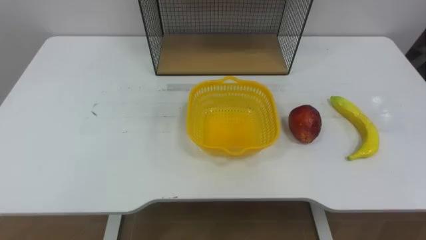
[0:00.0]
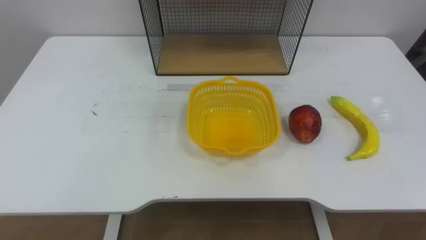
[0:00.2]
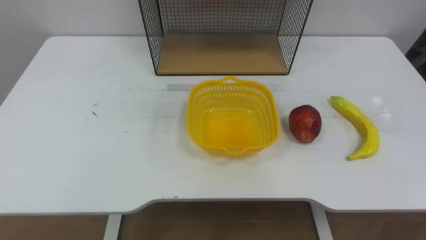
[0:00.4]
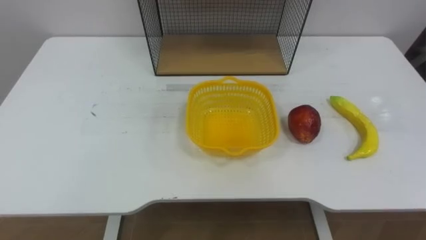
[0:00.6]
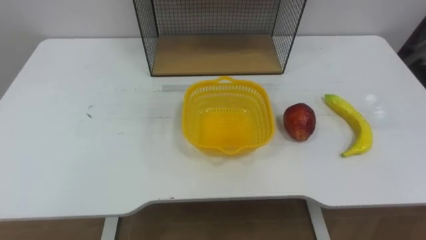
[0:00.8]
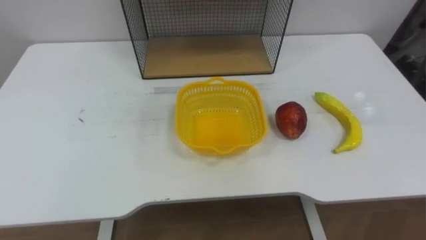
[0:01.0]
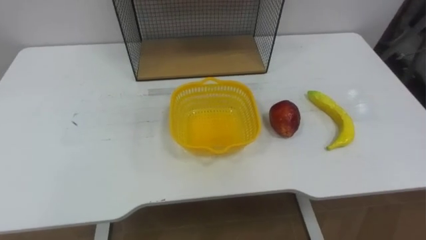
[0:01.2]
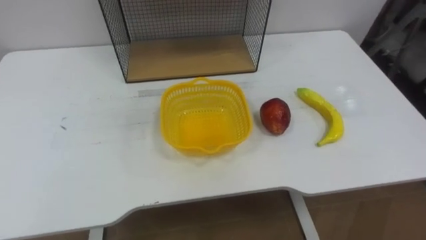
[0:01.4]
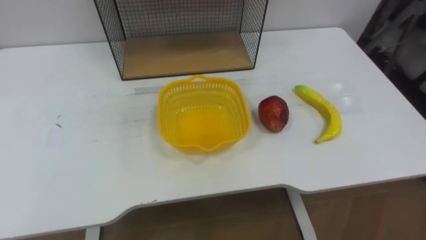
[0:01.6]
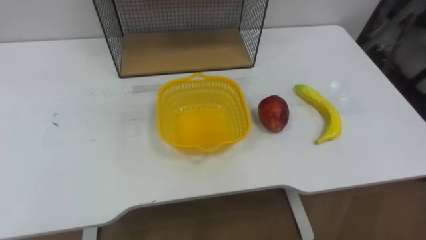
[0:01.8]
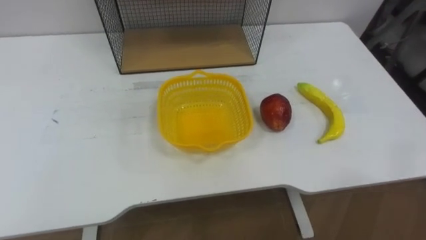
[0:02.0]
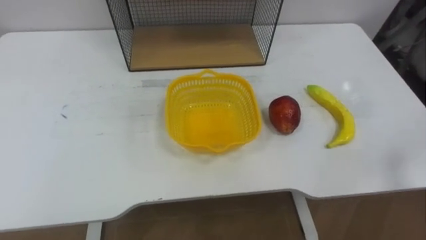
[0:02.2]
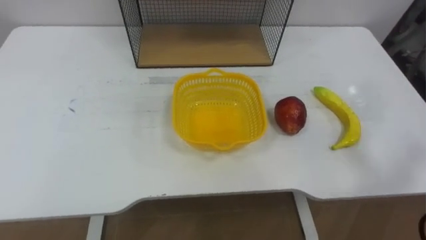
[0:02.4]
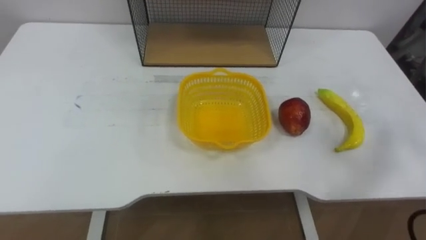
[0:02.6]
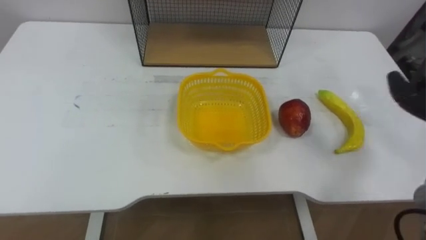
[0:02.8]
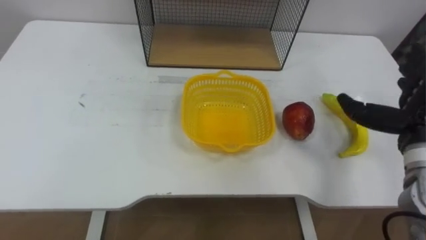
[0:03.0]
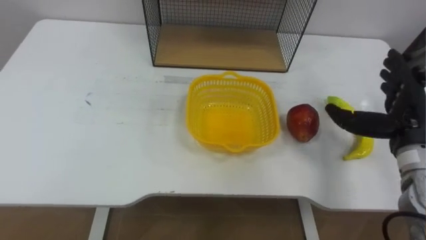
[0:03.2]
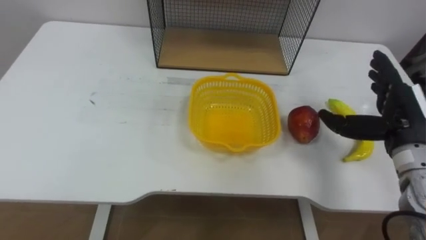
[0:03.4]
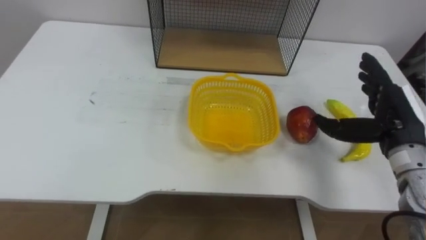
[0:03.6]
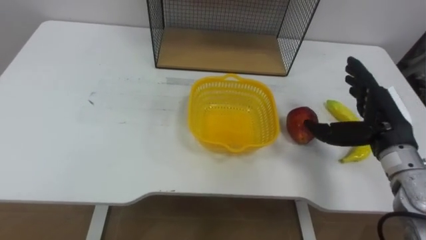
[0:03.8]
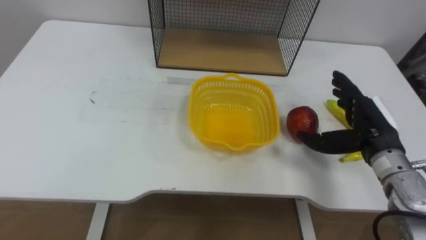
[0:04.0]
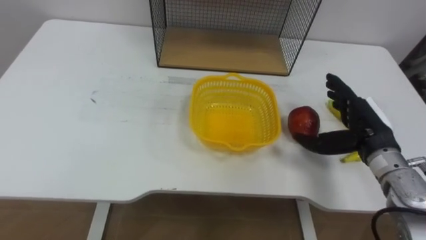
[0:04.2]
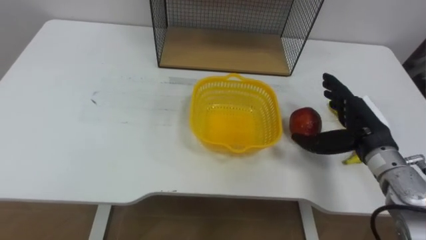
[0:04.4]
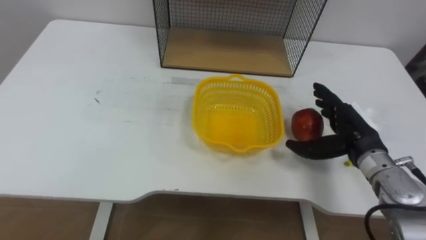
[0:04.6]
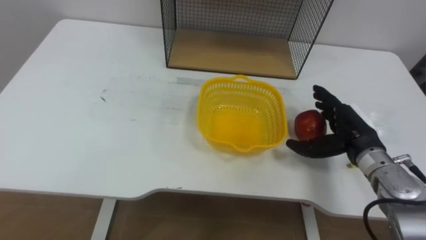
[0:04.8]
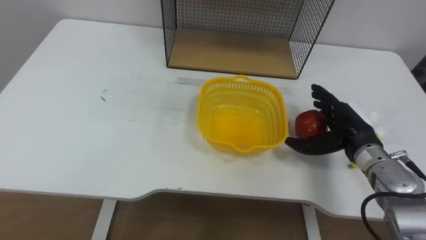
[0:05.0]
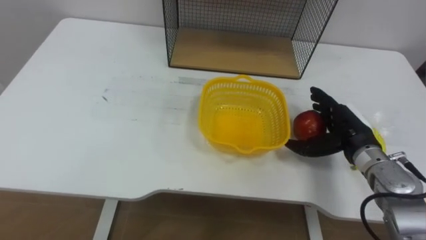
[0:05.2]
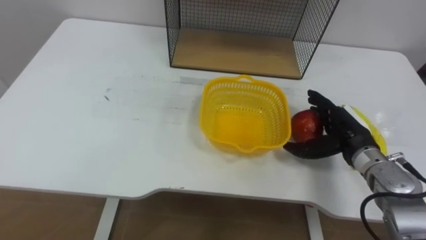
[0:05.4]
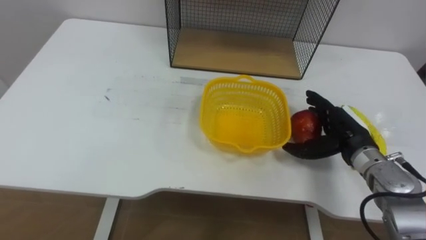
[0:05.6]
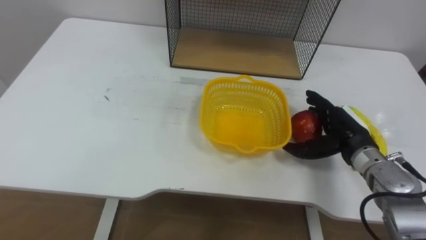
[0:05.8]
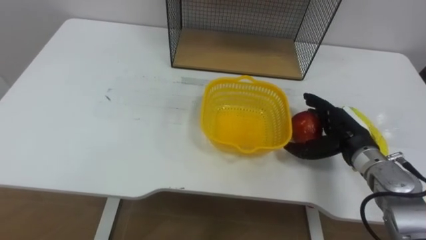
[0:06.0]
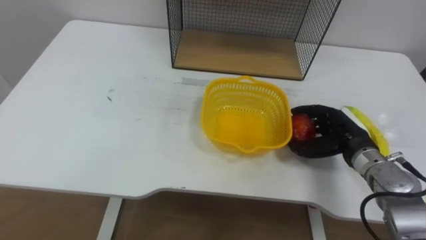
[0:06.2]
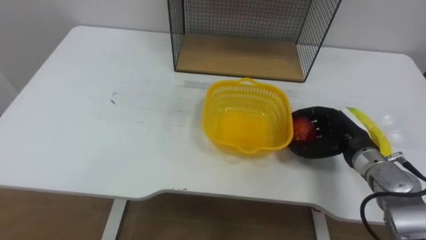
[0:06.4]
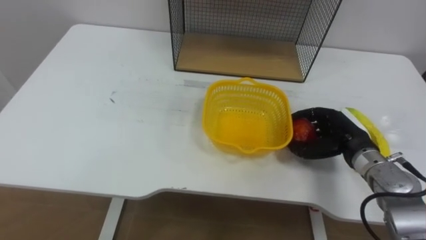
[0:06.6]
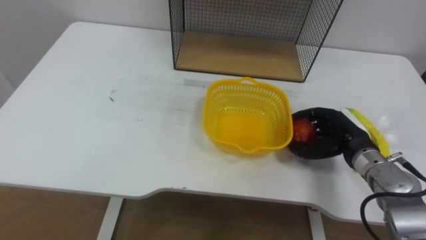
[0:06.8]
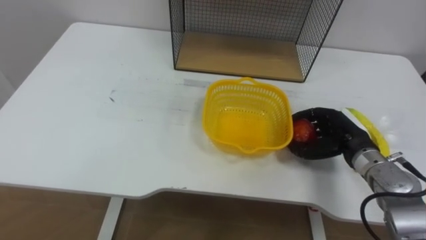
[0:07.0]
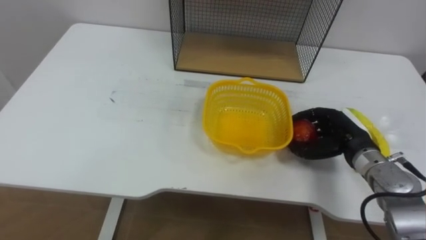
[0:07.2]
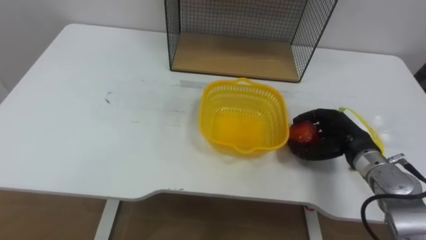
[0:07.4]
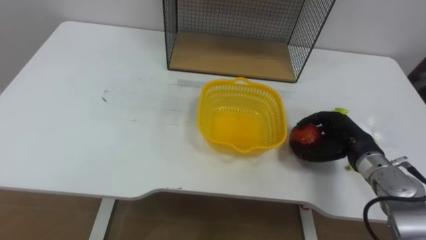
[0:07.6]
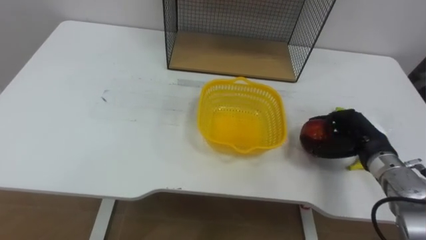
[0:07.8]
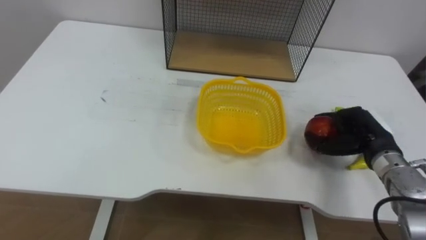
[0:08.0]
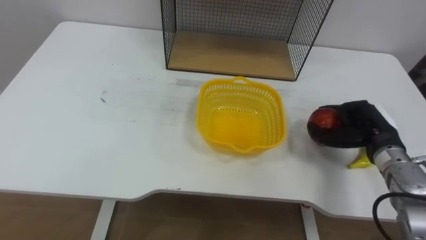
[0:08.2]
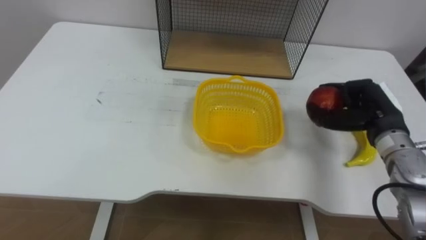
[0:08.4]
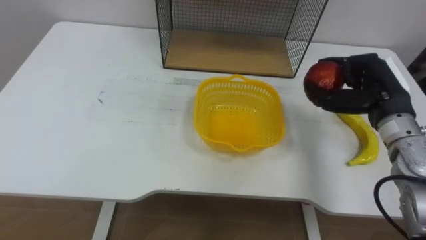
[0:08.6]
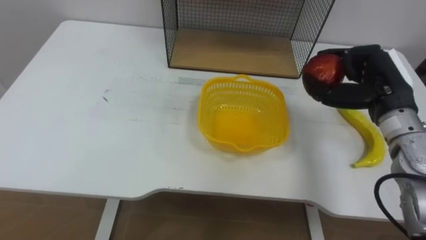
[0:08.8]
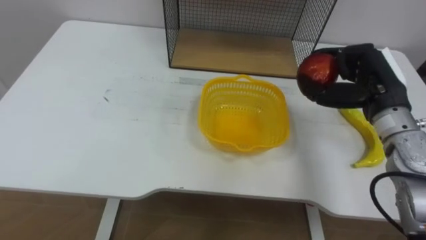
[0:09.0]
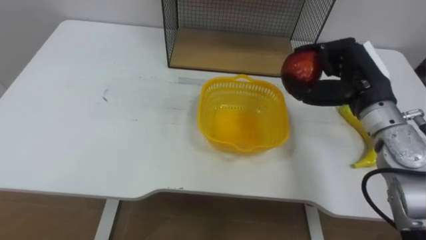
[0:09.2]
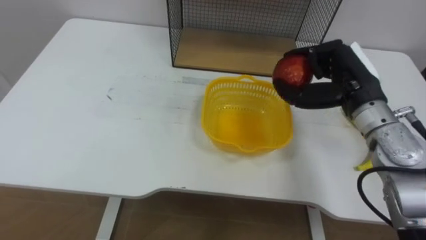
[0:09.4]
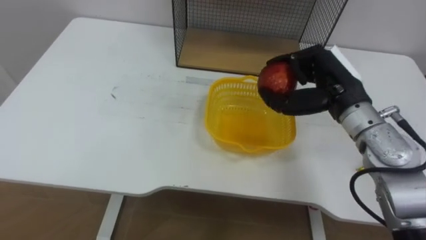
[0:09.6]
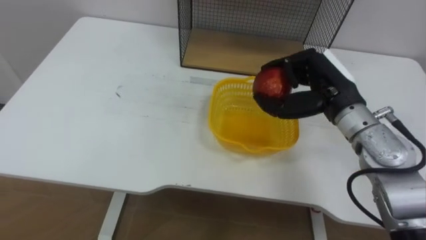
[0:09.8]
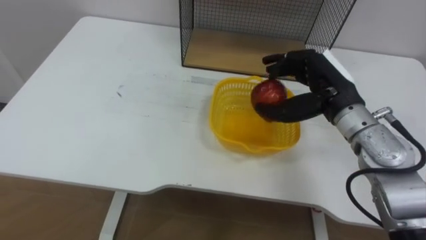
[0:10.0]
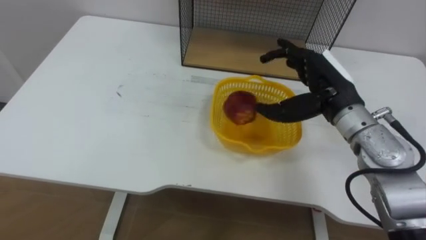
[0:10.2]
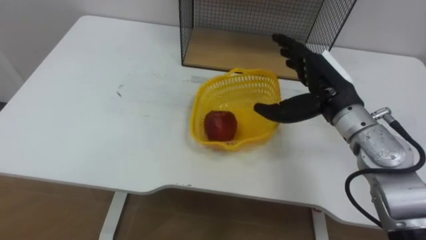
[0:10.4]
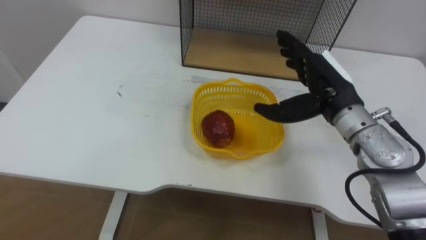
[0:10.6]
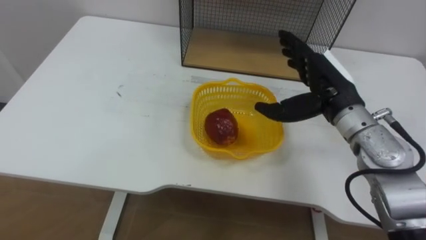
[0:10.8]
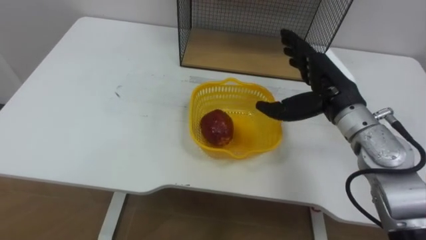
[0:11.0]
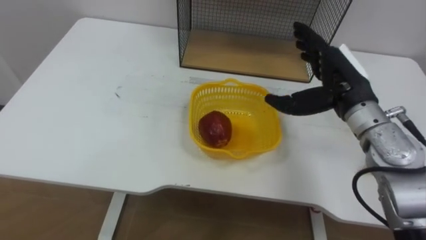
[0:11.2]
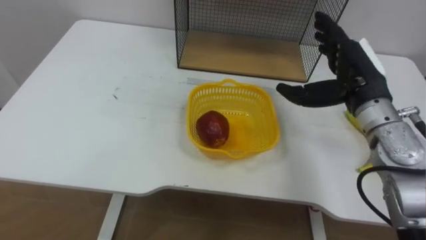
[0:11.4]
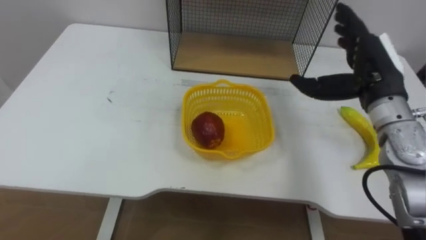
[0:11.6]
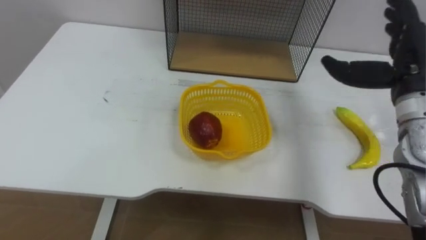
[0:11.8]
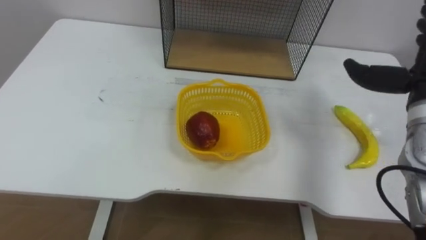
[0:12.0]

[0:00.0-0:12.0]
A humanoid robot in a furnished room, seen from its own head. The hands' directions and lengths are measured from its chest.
Task of the whole recording: Put the fruit on the table into the basket, then place the basket on the shelf.
0:06.0 to 0:07.6: The right hand closes.
0:07.6 to 0:09.0: The right hand travels upward by roughly 15 cm.
0:09.0 to 0:10.4: The right hand shifts roughly 10 cm to the left, and opens.

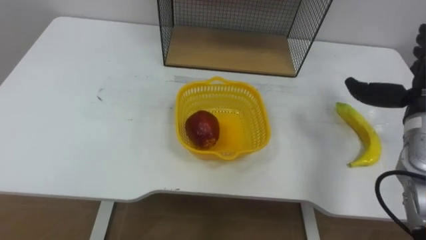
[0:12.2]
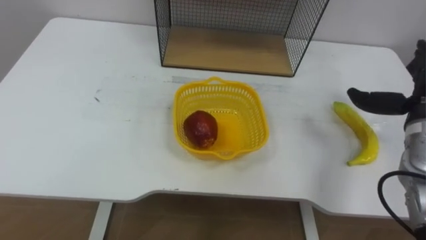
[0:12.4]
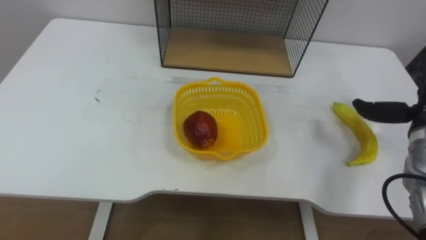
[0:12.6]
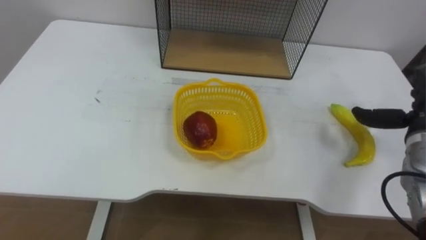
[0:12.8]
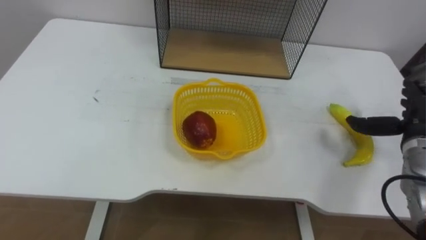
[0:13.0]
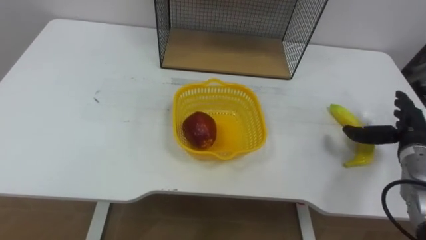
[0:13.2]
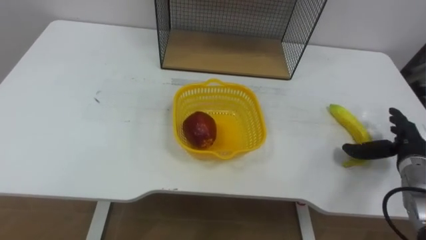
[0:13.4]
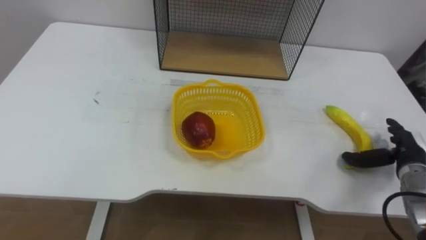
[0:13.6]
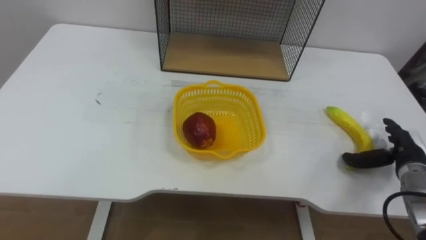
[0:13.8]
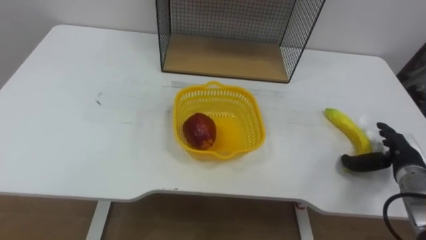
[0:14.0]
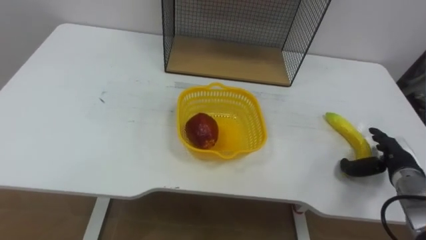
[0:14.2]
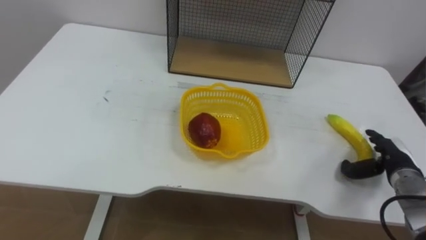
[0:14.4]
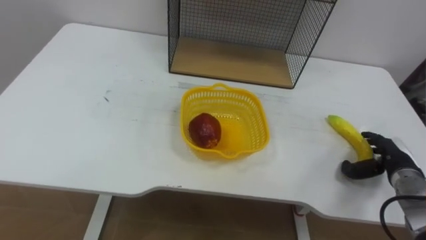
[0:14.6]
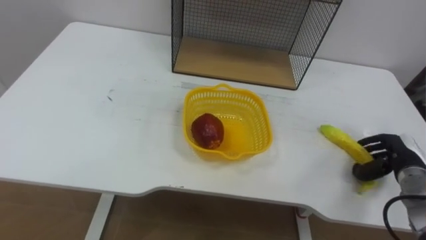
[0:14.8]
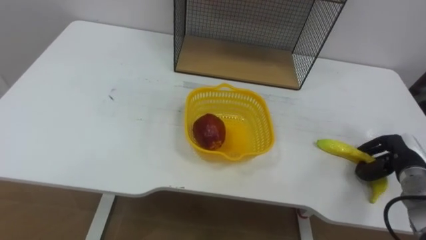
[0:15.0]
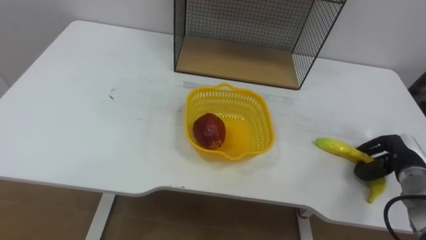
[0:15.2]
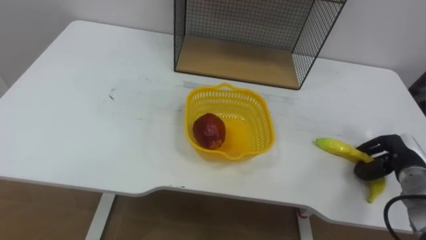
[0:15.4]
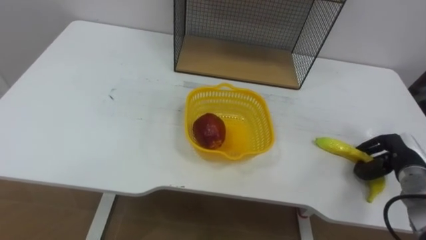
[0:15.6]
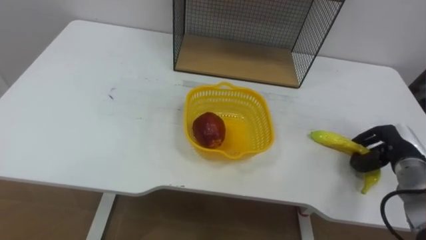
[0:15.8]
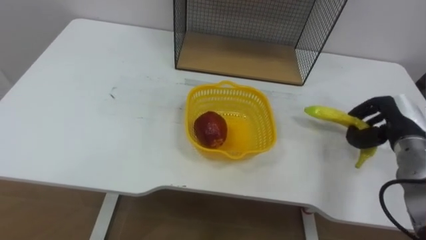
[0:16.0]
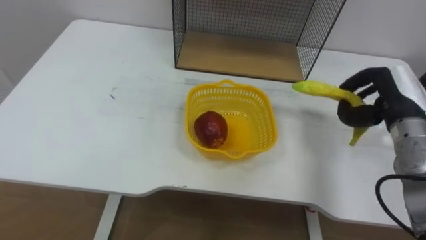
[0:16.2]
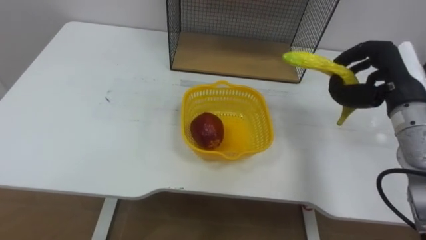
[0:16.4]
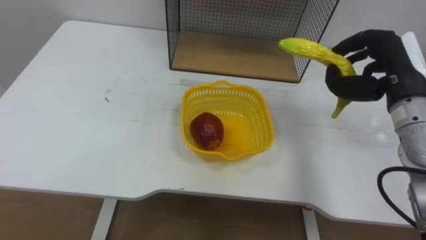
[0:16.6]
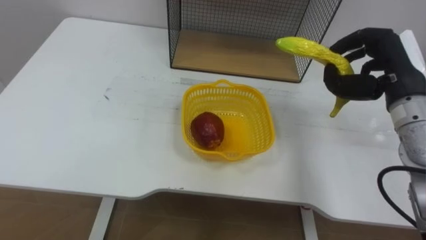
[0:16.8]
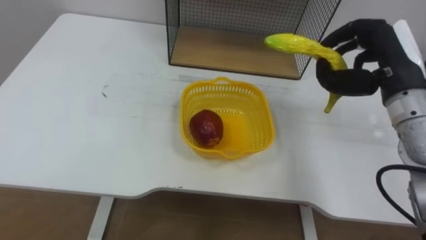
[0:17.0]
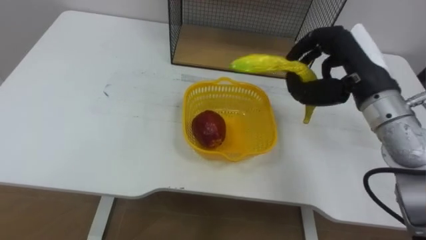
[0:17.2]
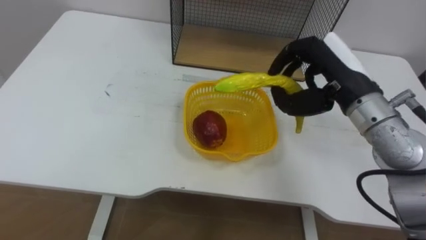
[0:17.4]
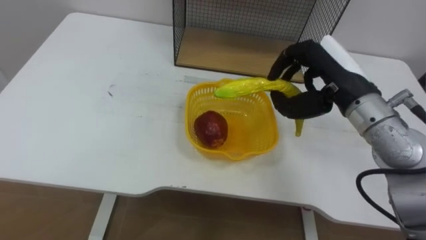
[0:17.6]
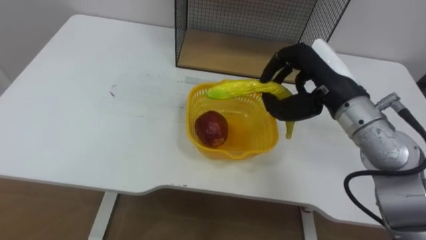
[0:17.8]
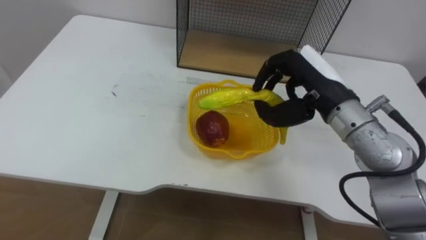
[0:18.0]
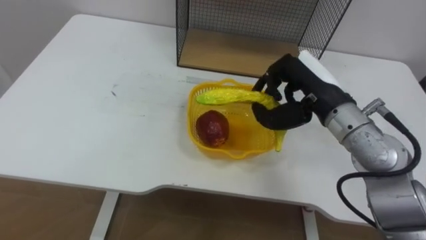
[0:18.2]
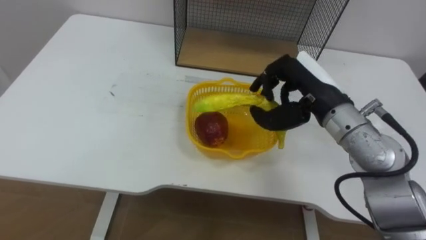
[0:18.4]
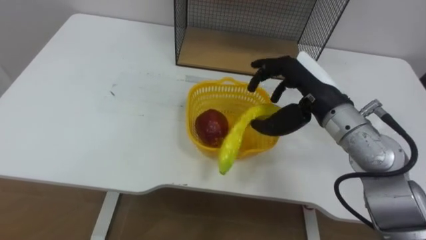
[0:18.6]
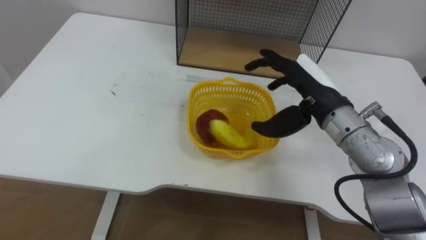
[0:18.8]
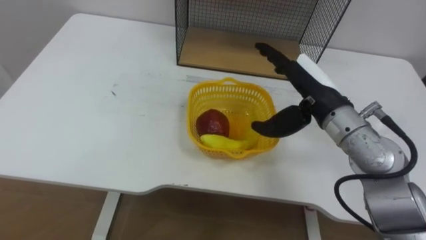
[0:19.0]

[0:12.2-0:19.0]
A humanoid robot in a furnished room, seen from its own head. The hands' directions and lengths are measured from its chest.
Task of the whole recording: Put the fruit on the table into the basket, then place the basket on the shelf.
0:13.6 to 0:15.0: The right hand closes its fingers.
0:15.0 to 0:16.2: The right hand is displaced upward and to the left by roughly 15 cm.
0:16.2 to 0:17.6: The right hand travels to the left and upward by about 15 cm.
0:17.6 to 0:19.0: The right hand opens its fingers.
